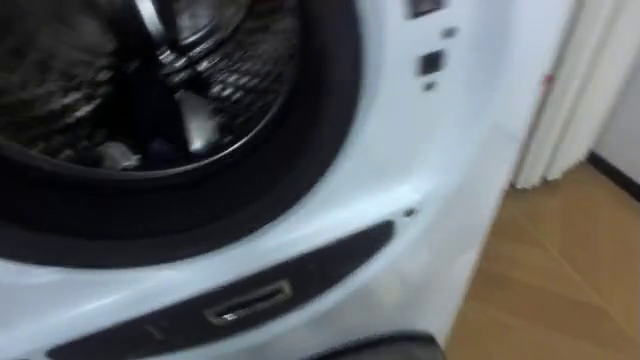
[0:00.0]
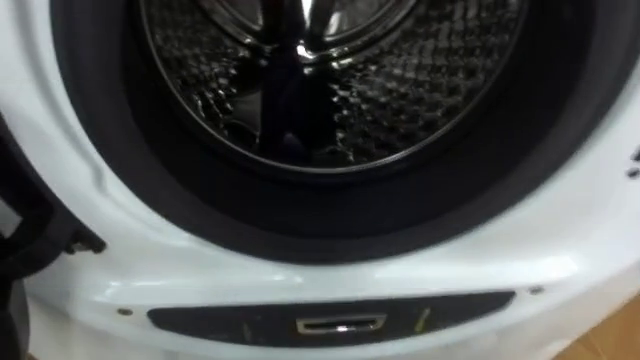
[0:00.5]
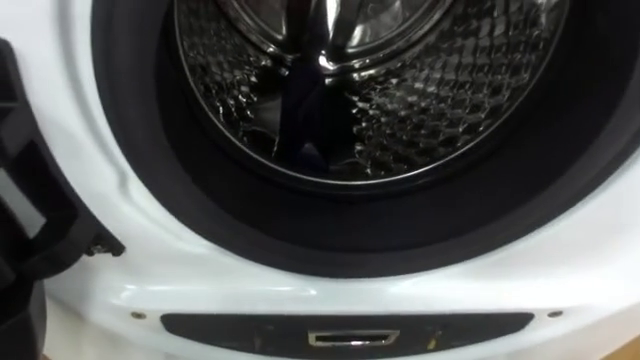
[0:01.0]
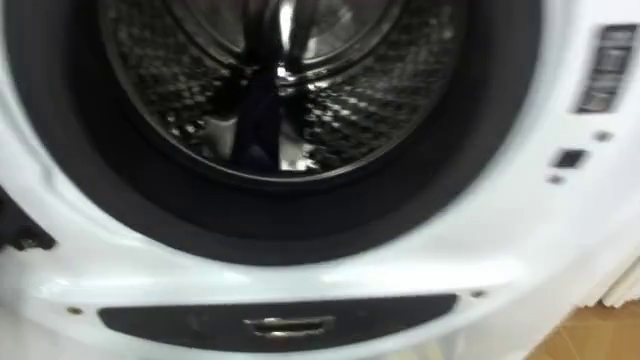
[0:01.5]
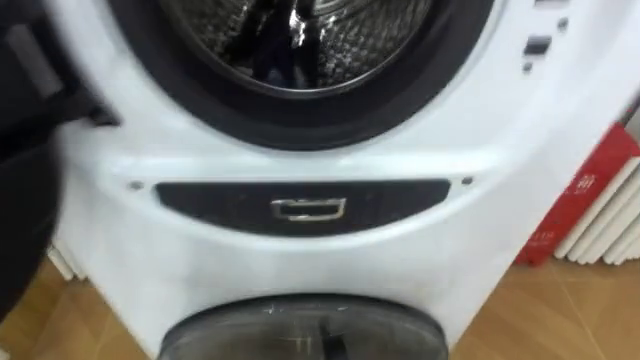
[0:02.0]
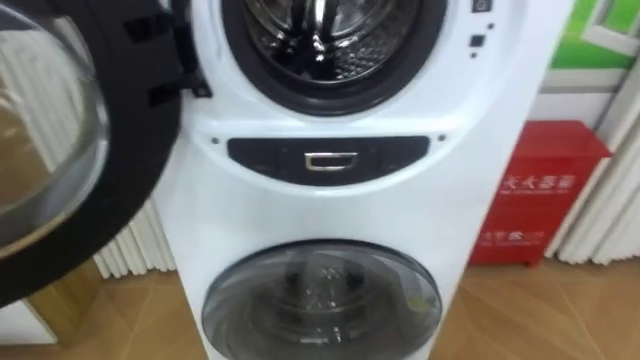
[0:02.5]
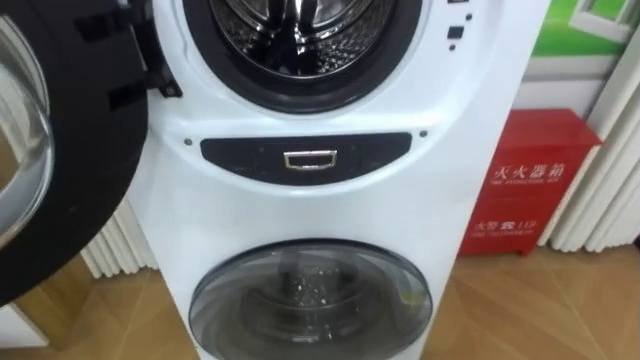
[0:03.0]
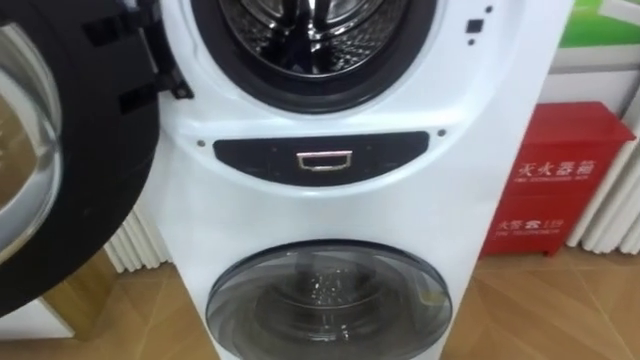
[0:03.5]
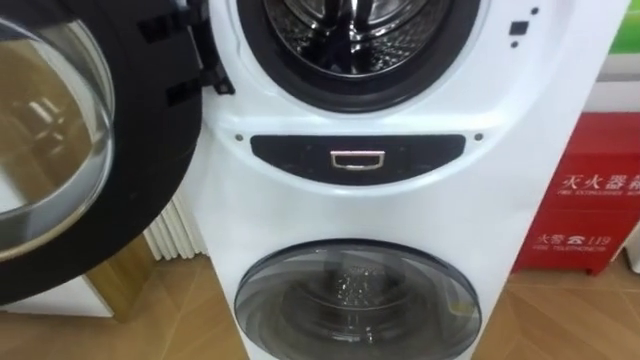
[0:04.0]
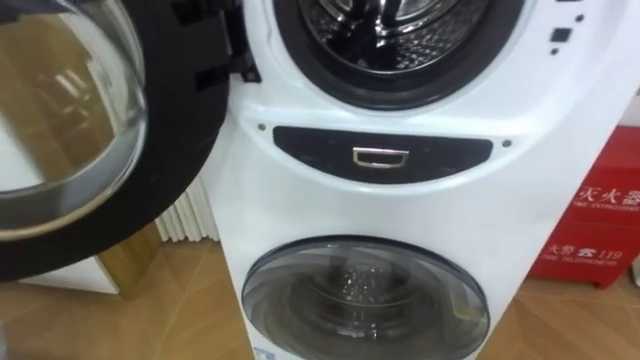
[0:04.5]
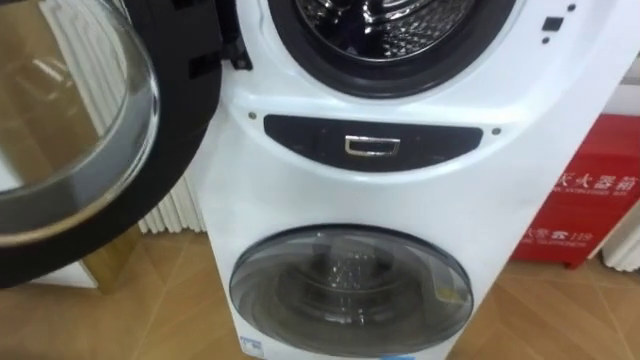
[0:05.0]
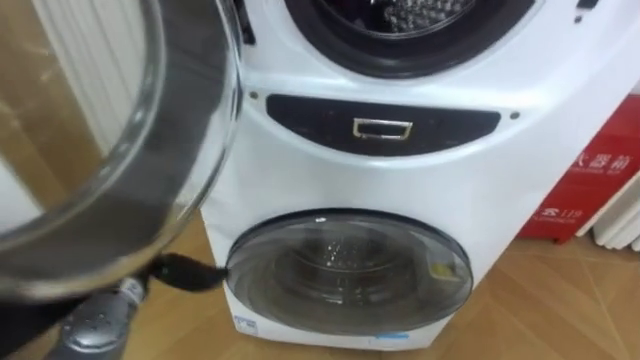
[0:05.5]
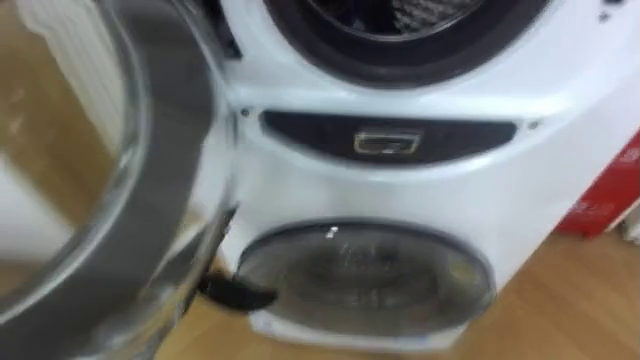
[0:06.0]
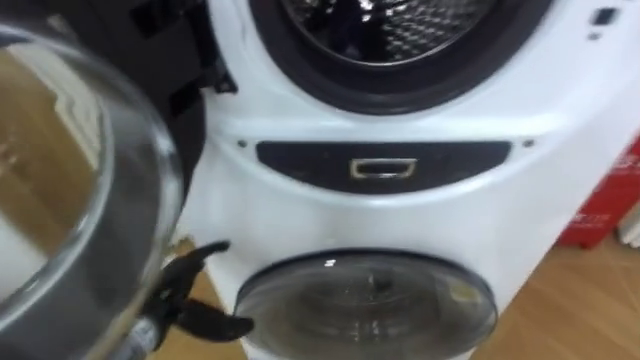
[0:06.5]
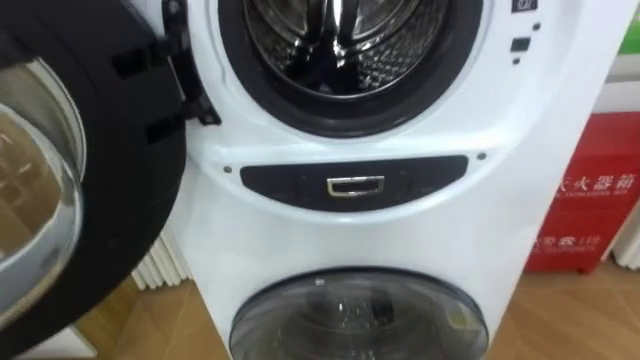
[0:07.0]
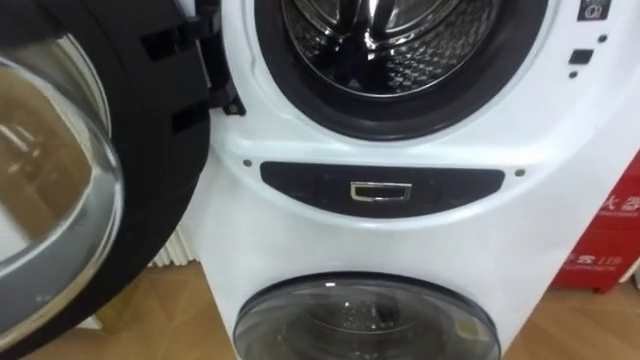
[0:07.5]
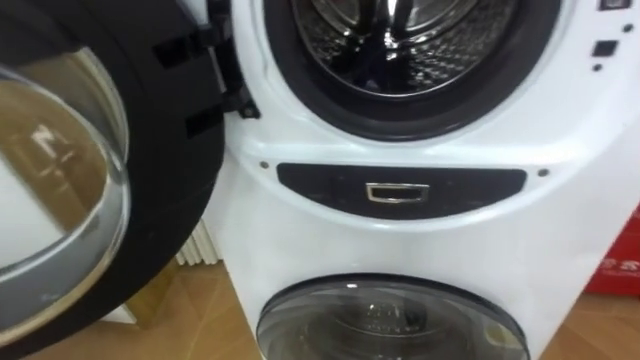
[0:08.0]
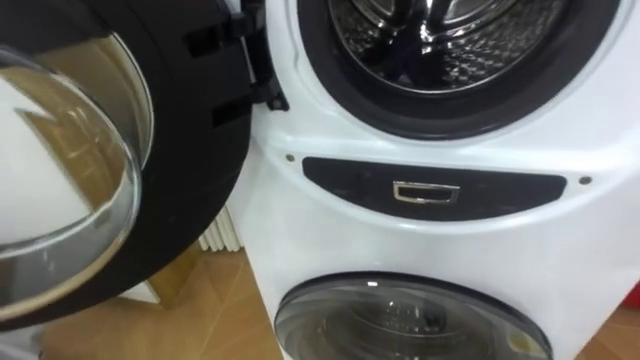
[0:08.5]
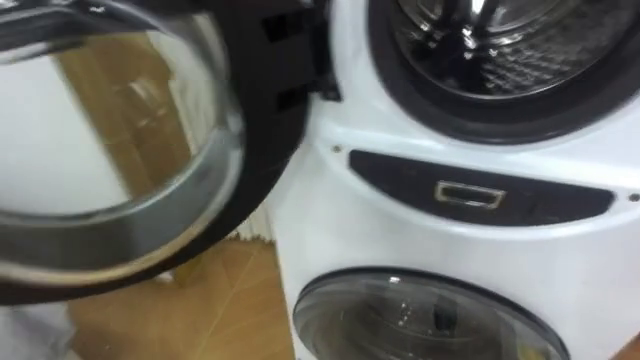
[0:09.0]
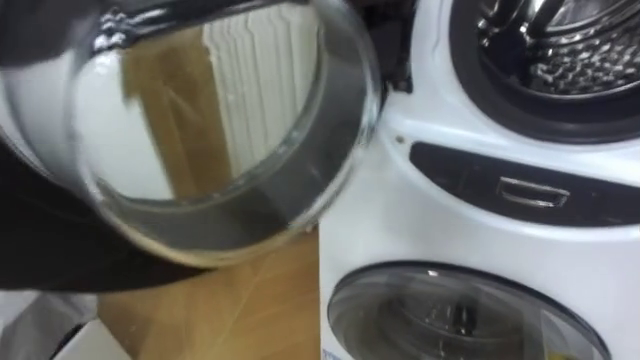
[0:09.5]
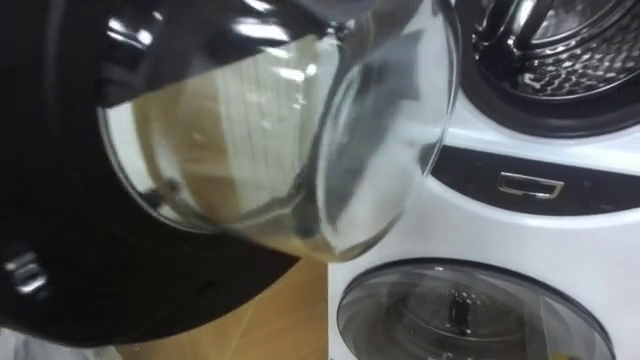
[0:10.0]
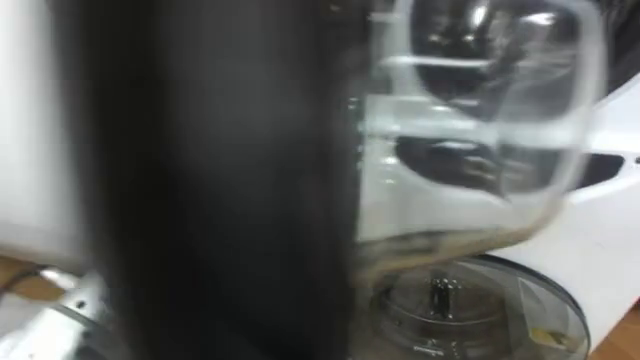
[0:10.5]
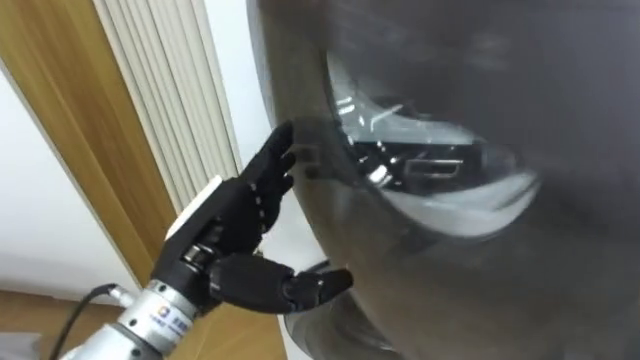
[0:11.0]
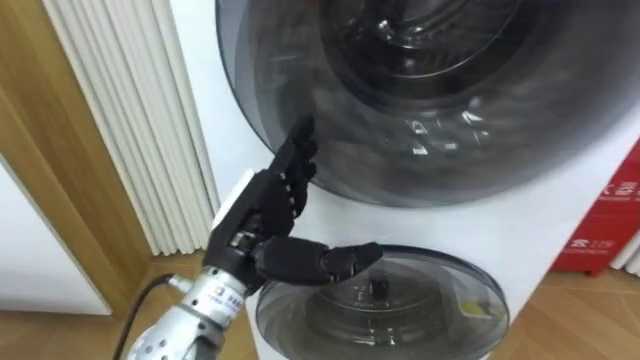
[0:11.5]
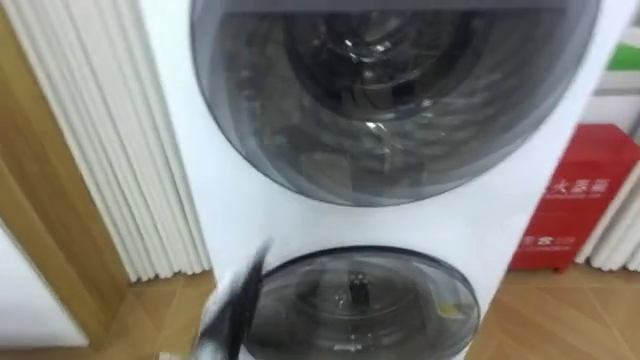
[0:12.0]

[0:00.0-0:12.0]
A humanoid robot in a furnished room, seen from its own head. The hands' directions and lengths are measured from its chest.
Task of the whole recording: Open the washing machine door, take out the yellow clothes, place them in the box on the right, and close the washing machine door.
0:00.0 to 0:02.0: The robot turns to its left by roughly 15 degrees.
0:10.0 to 0:12.0: The left hand goes some 30 cm downward and to the right.

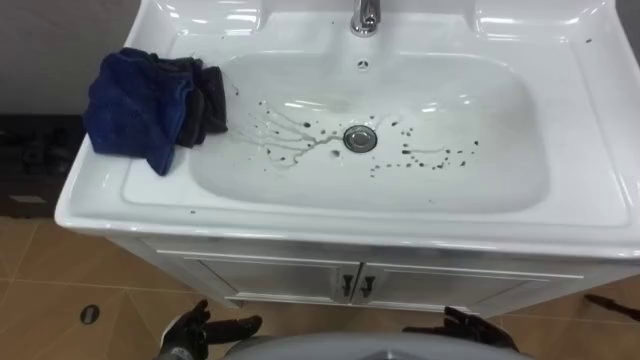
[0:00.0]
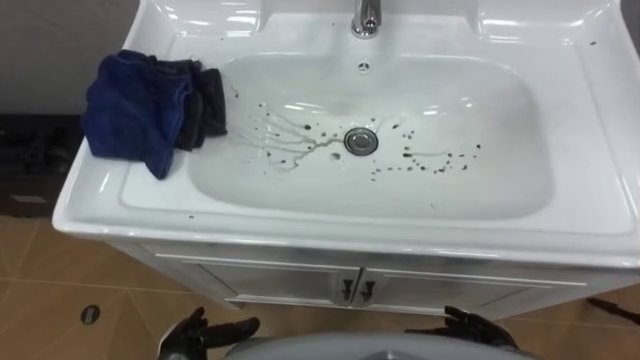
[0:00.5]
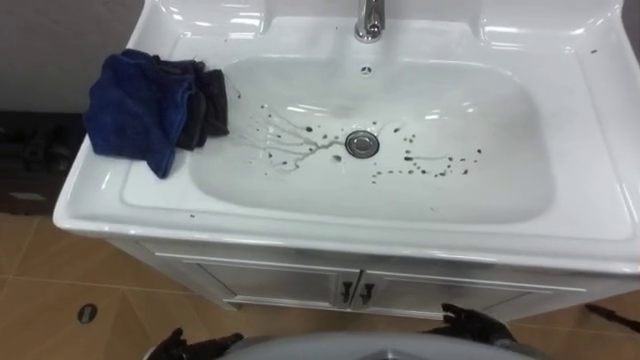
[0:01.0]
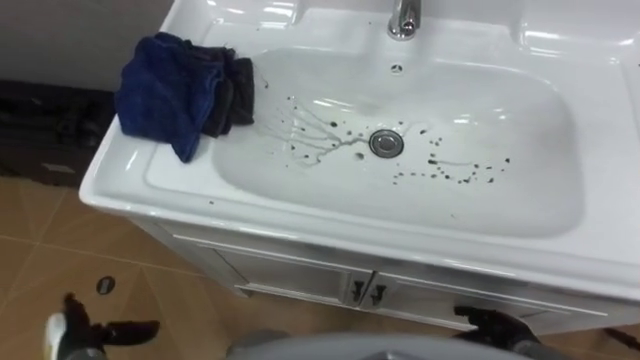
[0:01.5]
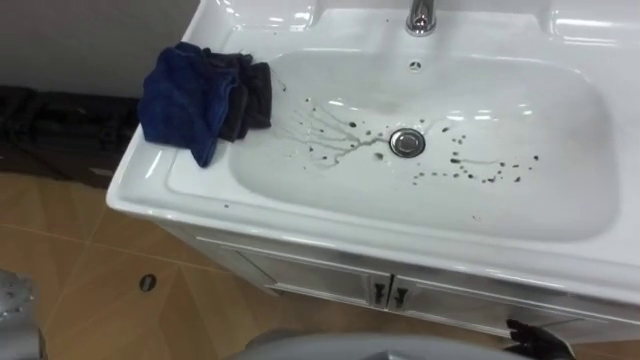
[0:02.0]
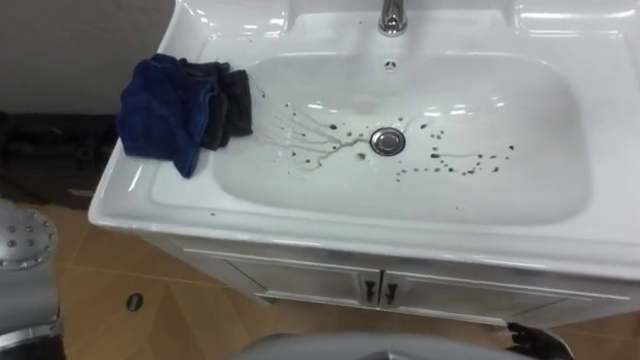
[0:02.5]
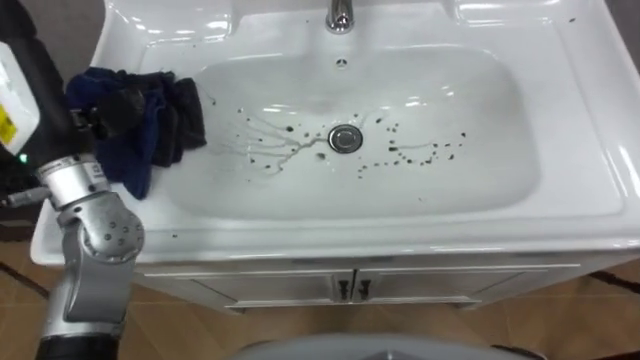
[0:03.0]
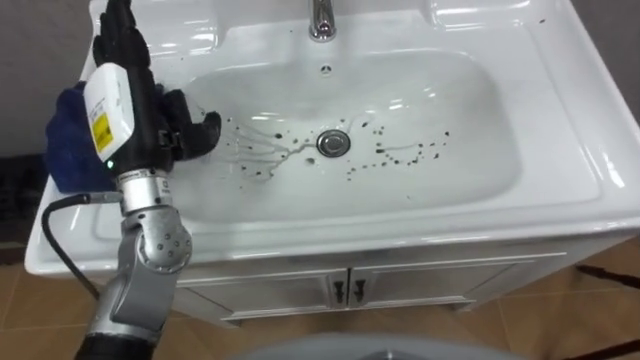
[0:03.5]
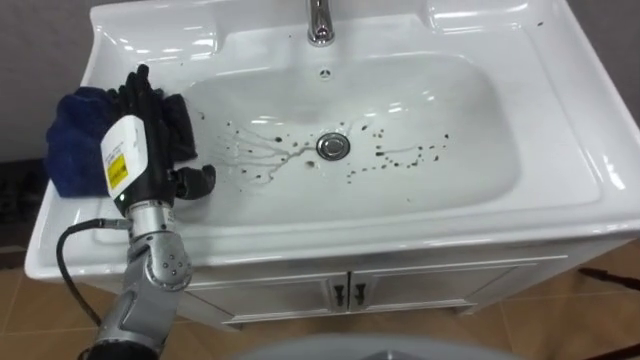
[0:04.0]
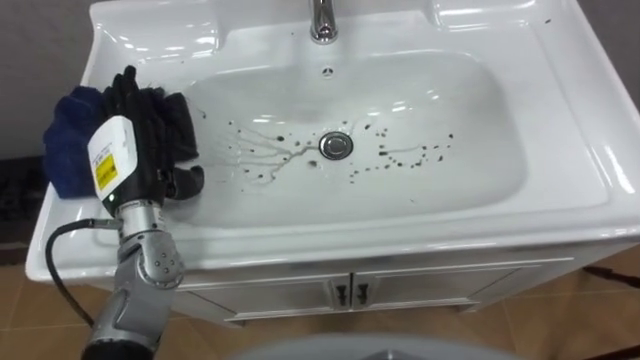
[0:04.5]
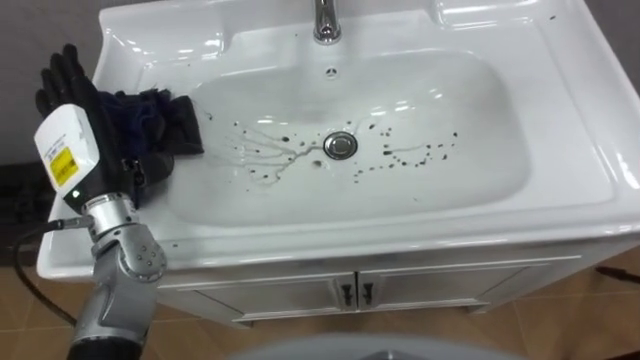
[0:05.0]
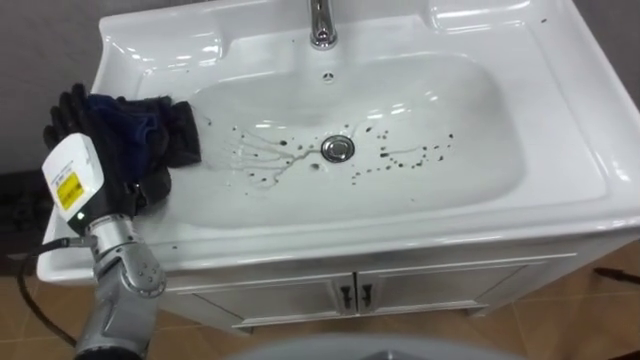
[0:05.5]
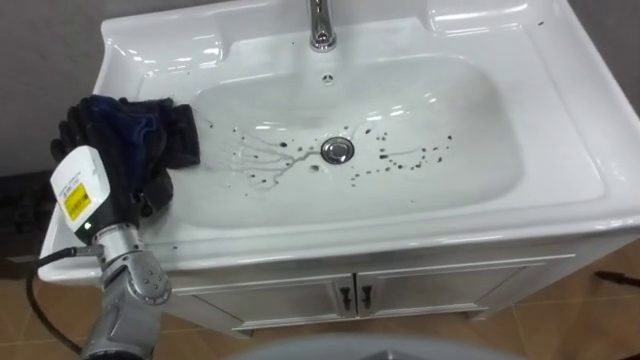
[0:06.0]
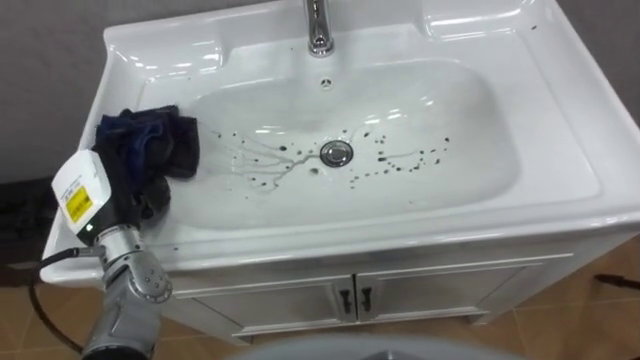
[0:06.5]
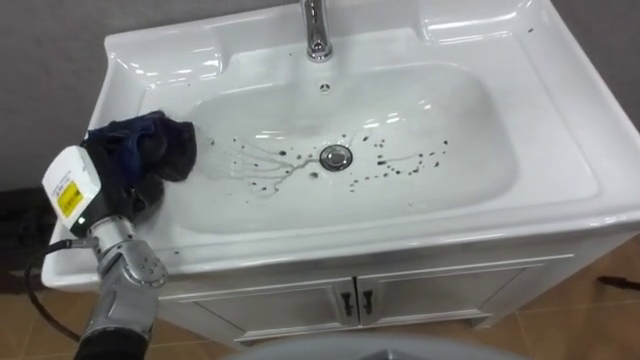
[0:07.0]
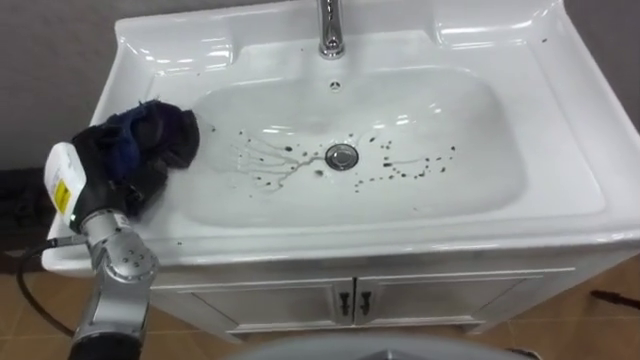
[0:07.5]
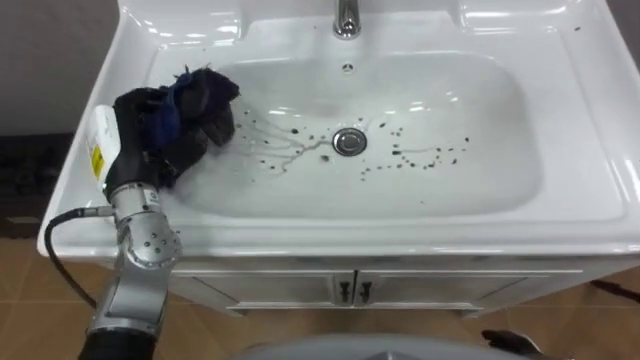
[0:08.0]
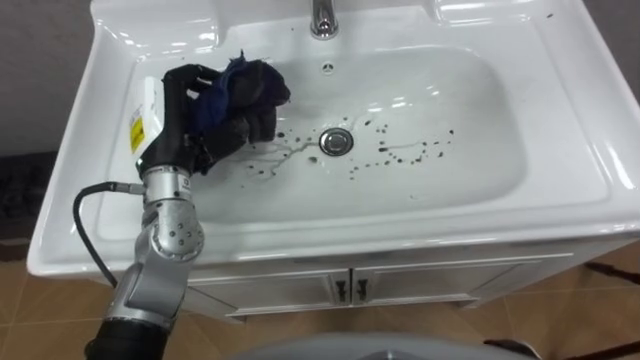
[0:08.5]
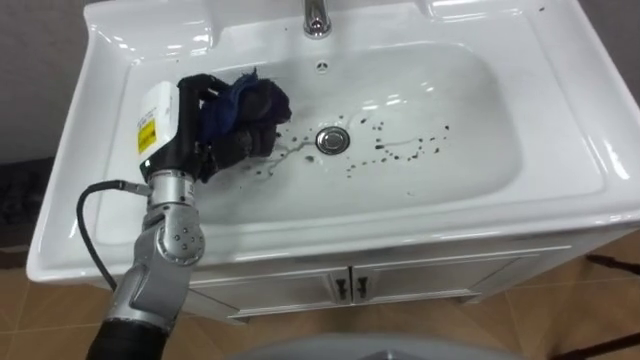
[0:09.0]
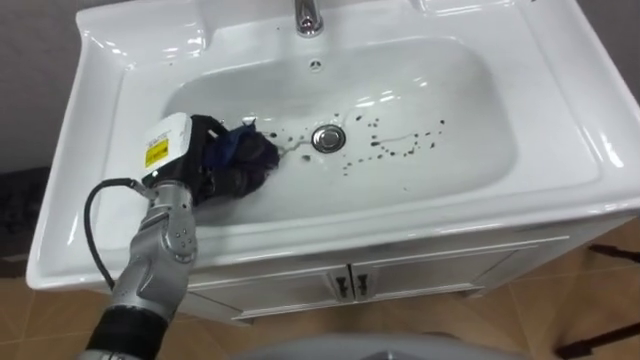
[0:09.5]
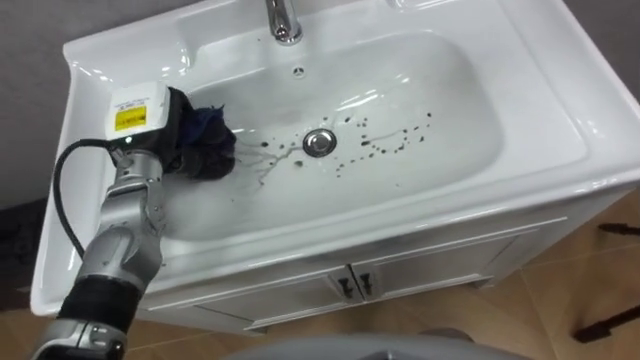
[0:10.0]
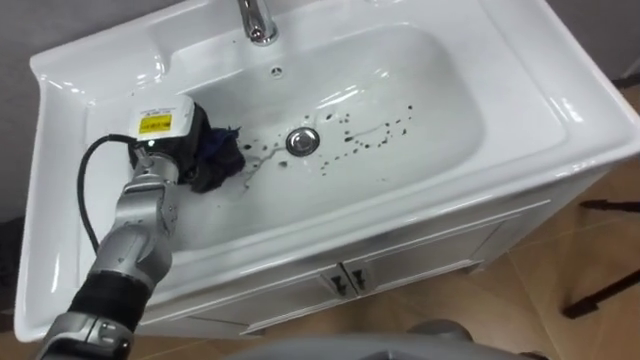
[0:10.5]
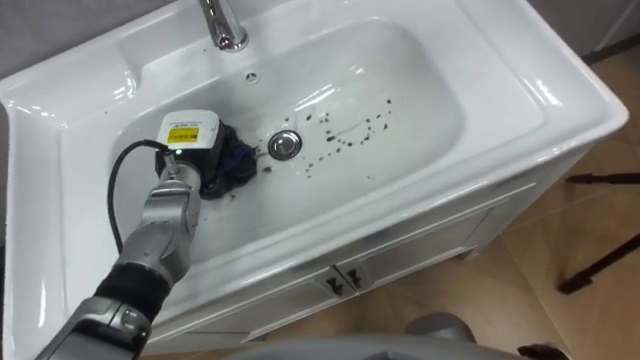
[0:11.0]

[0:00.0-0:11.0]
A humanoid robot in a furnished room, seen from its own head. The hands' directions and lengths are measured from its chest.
Task of the whole recording: Use the cloth on the right to wipe away the black stain in the sink.
0:03.5 to 0:05.5: The left hand is displaced downward and to the left by approximately 10 cm.
0:05.5 to 0:07.5: The left hand closes up.
0:07.5 to 0:09.0: The left hand travels to the right and upward by approximately 15 cm.
0:09.0 to 0:11.0: The left hand goes some 10 cm downward.
